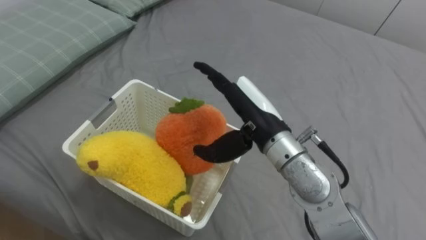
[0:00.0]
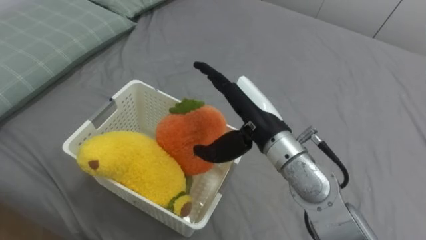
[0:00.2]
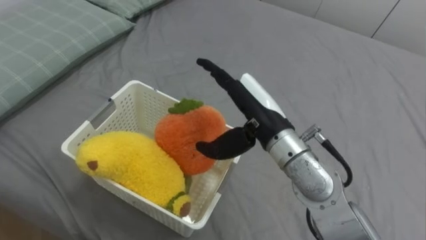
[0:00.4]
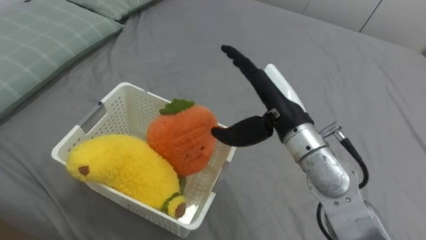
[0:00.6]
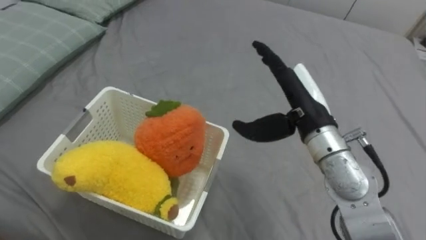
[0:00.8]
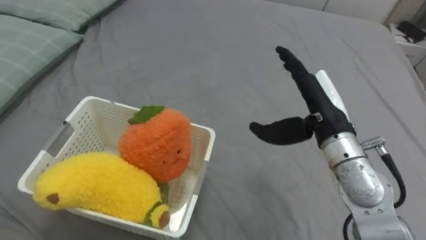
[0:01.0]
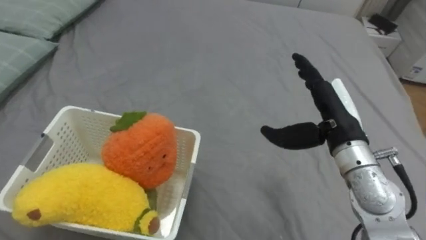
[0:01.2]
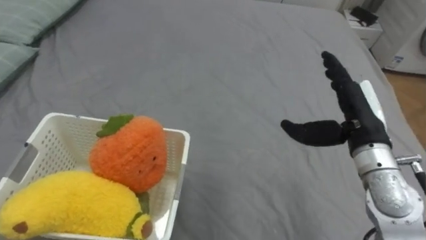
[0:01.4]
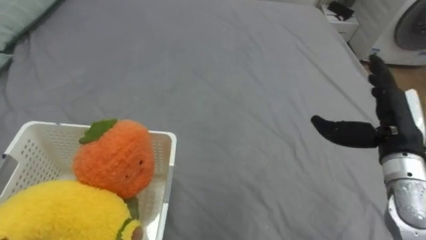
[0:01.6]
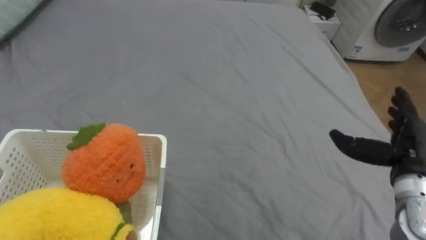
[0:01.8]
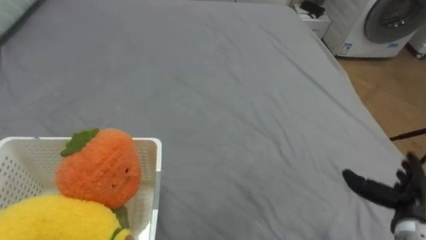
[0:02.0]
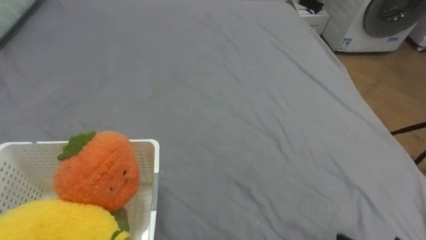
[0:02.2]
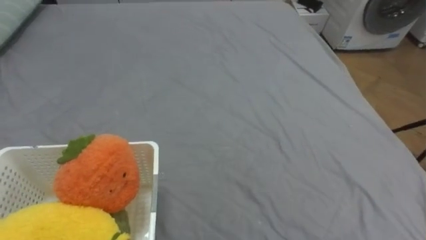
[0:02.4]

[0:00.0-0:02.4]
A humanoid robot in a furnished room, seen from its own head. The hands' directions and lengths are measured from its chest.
Task of the whole recording: Put the toys on the bed into the basket on the left.
0.0 to 1.2 s: The right hand shifts approximately 15 cm to the right.

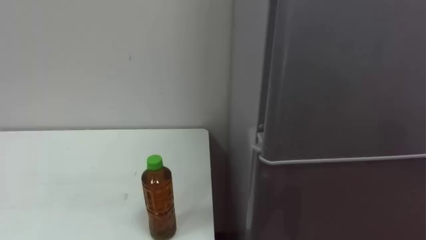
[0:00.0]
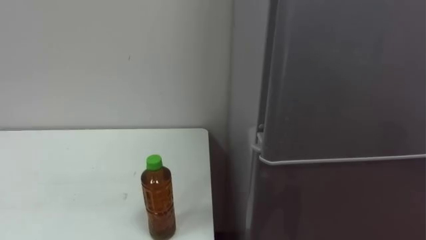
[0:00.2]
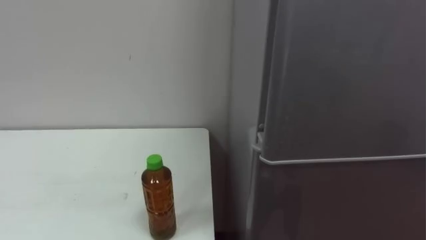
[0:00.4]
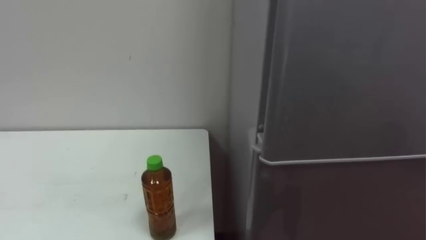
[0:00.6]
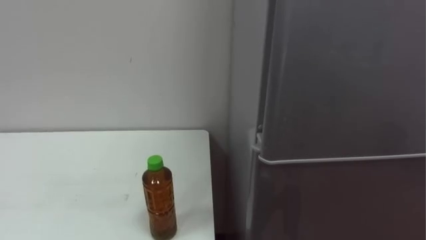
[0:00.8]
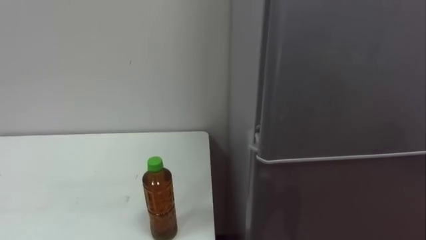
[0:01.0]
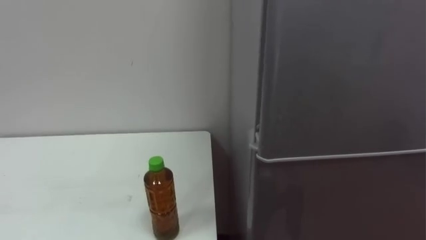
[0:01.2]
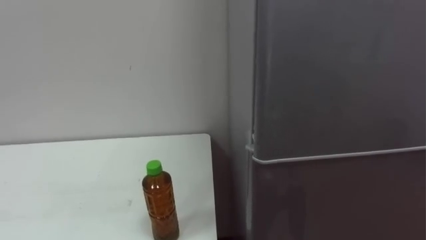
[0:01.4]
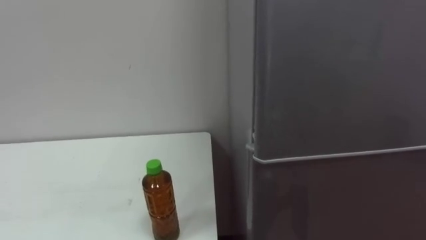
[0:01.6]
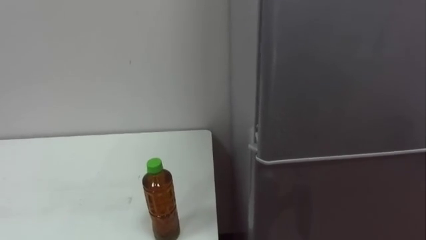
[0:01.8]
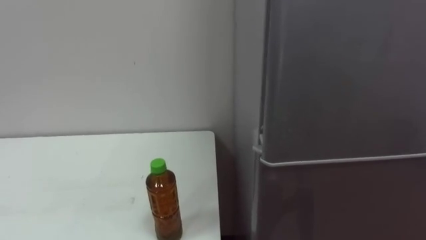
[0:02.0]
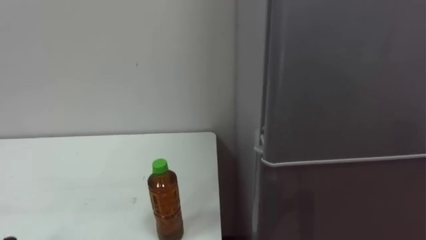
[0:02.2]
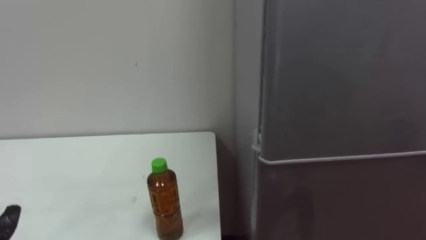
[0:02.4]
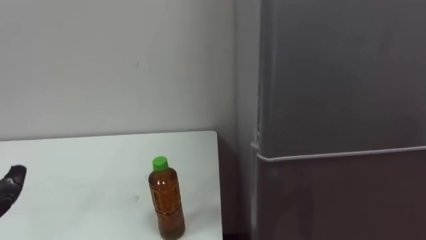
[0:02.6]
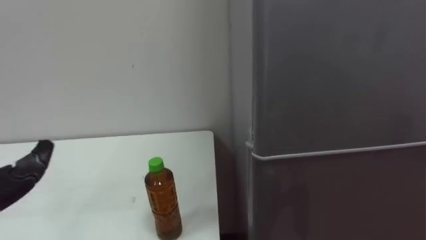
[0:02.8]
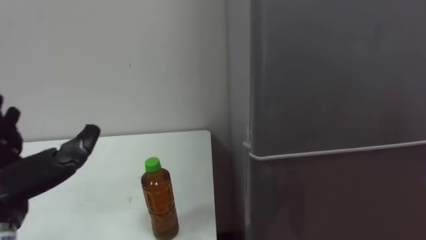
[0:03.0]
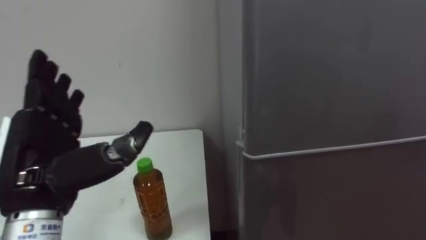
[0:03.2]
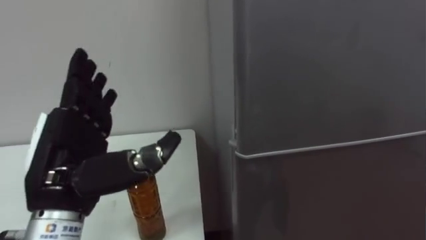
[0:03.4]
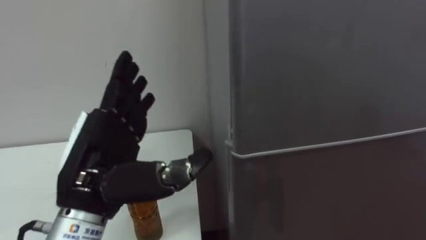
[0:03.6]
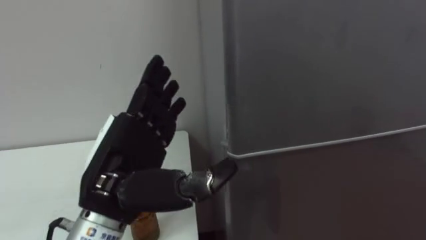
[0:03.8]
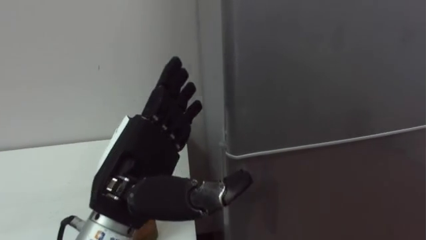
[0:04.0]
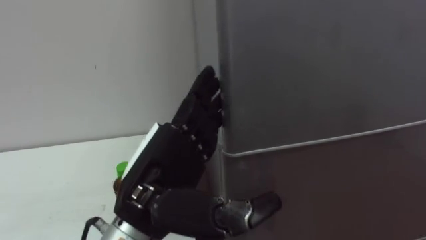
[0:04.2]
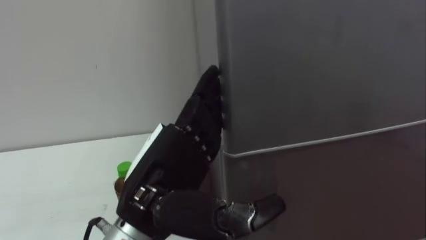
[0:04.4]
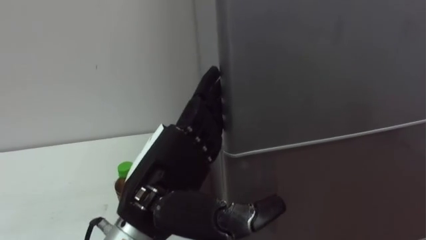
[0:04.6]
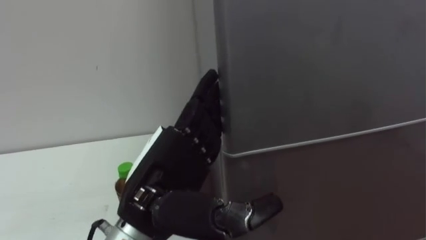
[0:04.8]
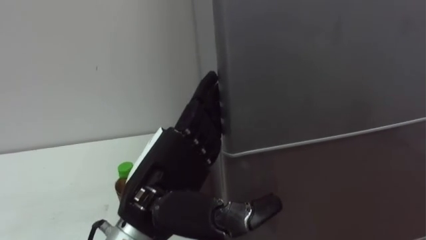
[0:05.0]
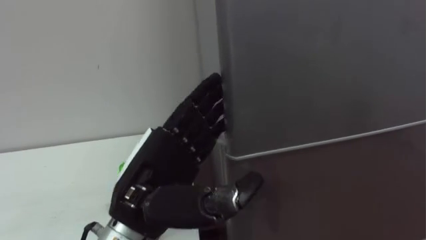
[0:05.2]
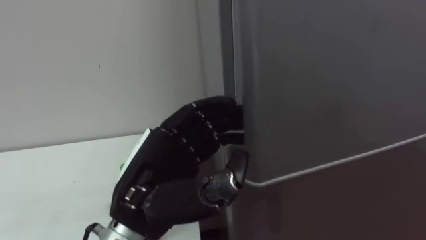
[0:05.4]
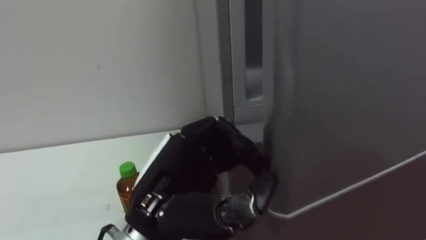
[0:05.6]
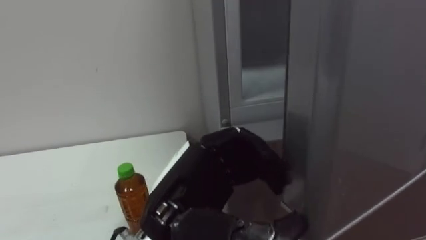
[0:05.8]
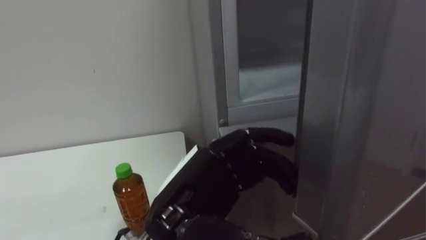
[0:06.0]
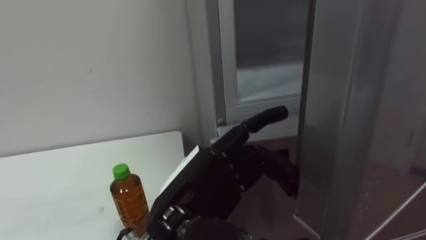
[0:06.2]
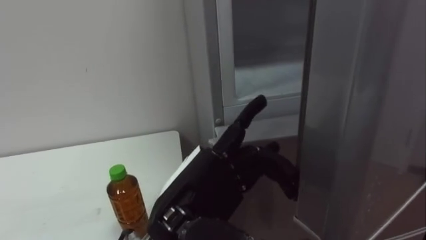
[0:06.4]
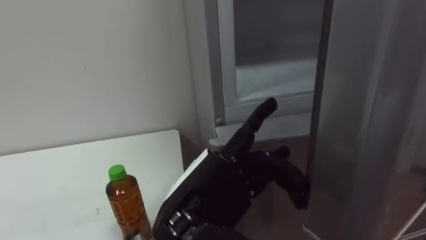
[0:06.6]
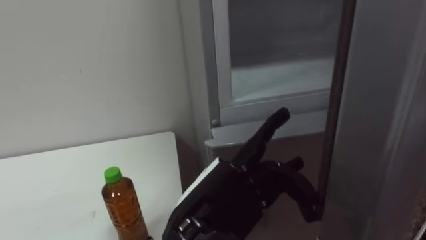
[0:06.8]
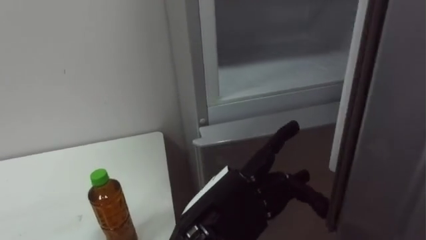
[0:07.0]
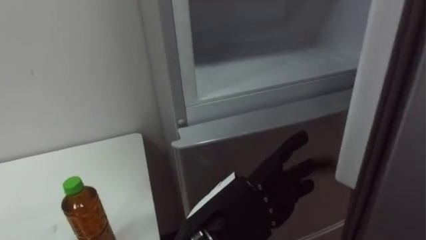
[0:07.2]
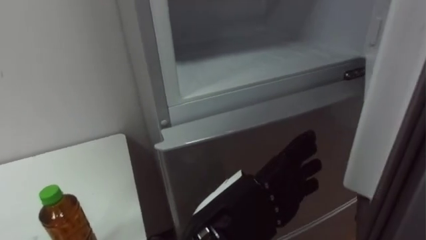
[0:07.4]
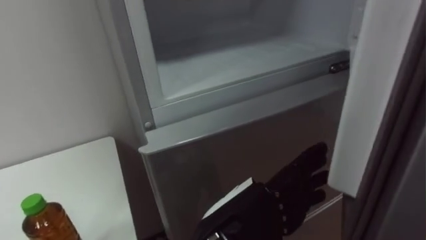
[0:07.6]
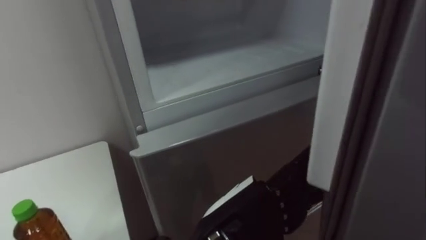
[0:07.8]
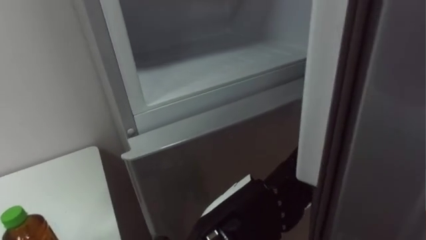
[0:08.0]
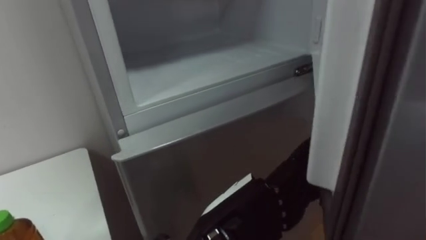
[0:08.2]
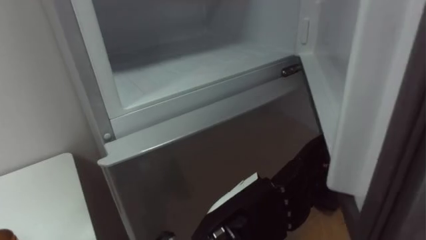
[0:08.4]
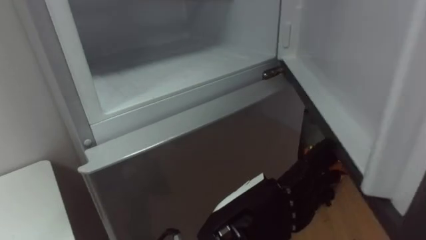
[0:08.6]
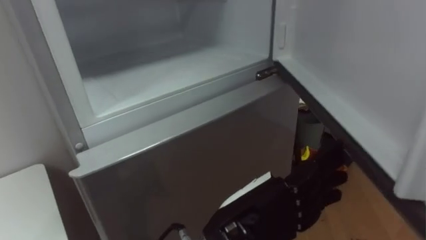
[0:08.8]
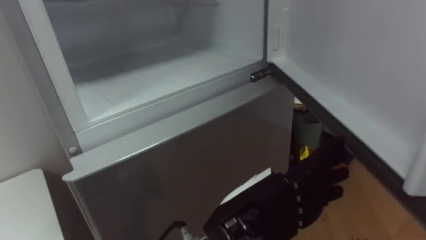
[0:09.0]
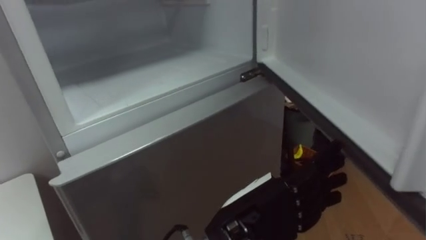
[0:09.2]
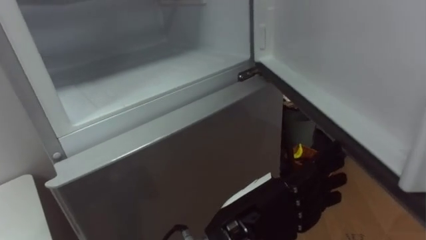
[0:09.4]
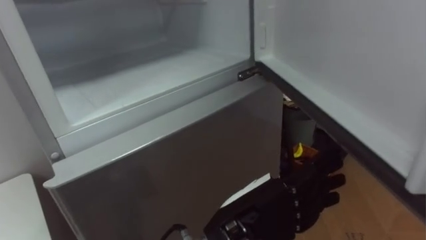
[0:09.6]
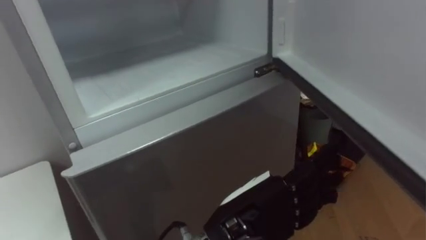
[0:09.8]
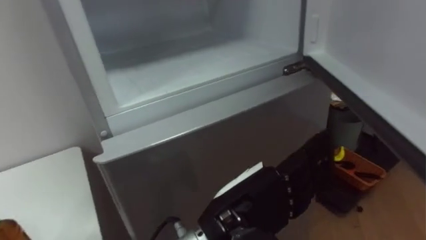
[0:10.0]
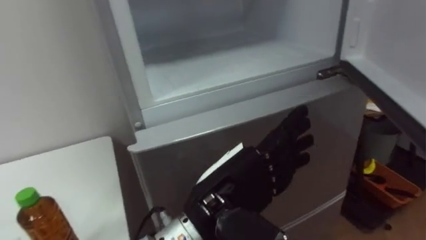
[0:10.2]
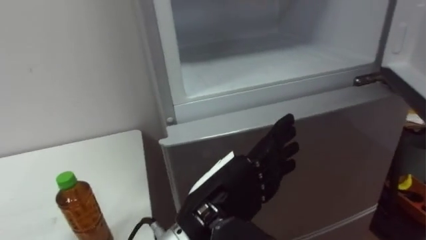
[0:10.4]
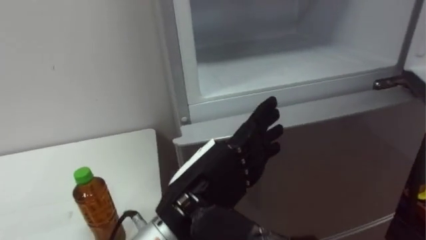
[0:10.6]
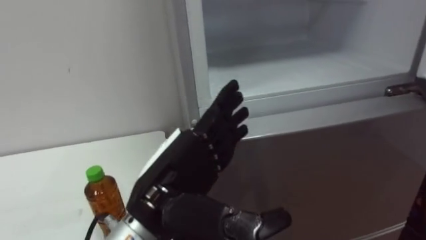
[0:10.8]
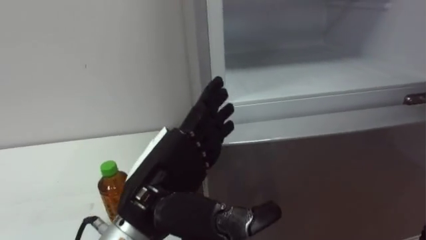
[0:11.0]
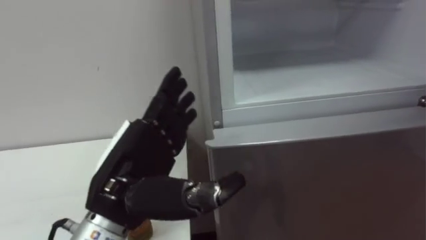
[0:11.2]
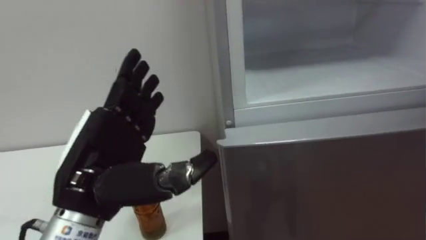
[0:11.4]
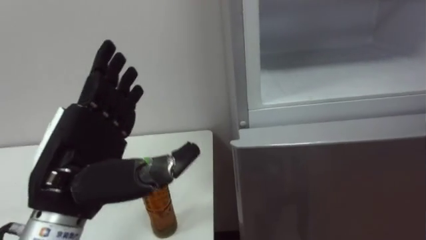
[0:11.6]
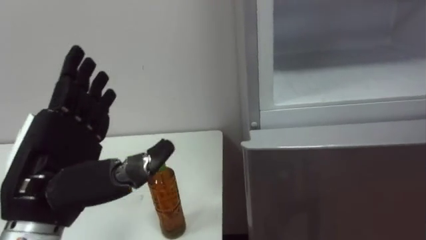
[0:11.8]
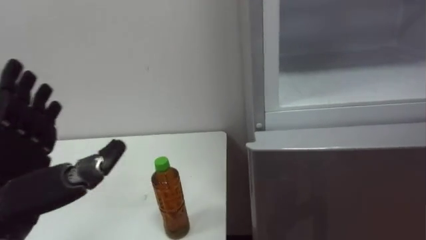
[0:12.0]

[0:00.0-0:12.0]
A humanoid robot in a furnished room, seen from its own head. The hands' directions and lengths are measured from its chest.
Task of the whole recording: Open the upper refrigerator door, put the drink from the table into the refrigerator, and then close the refrigerator door.
4.4 to 6.0 s: The left hand closes its fingers.
6.0 to 7.6 s: The left hand heads to the right, covering some 5 cm, and opens its fingers.
10.4 to 12.0 s: The left hand shifts roughly 25 cm to the left.

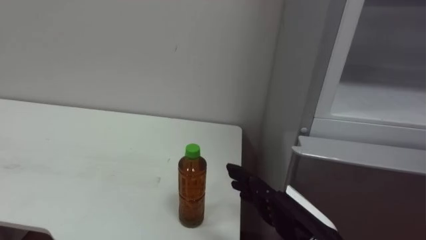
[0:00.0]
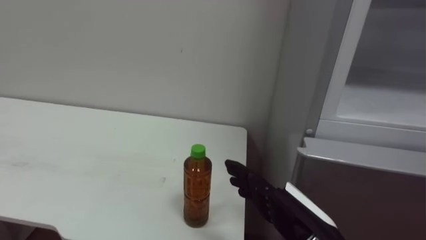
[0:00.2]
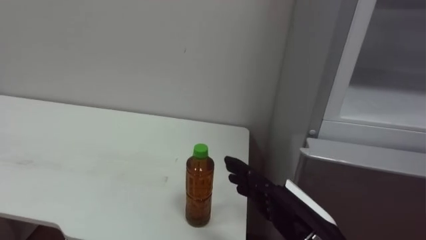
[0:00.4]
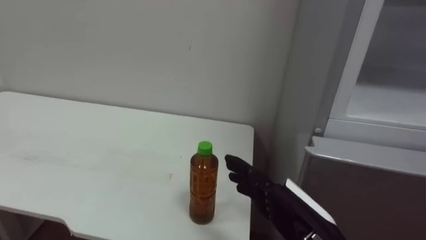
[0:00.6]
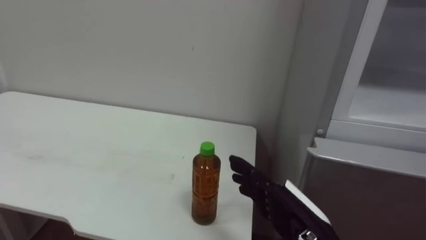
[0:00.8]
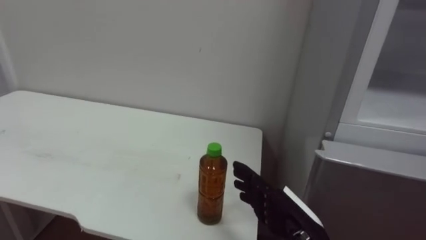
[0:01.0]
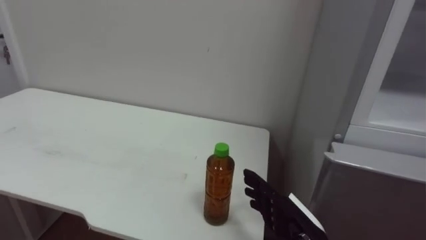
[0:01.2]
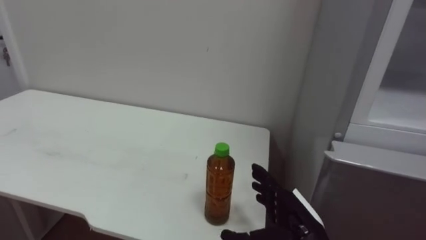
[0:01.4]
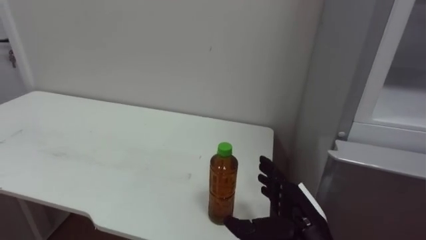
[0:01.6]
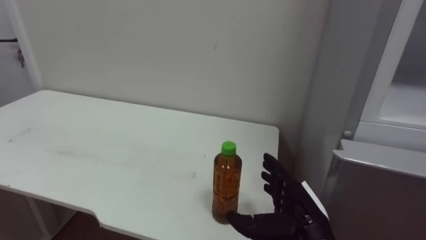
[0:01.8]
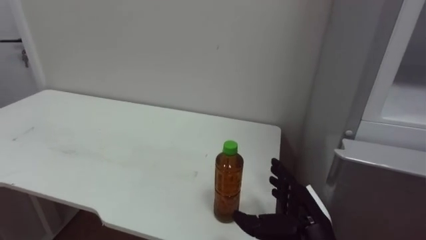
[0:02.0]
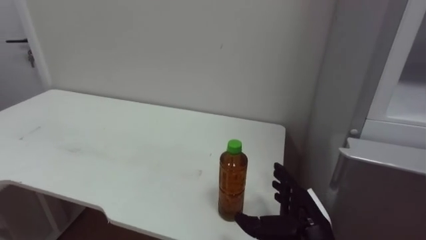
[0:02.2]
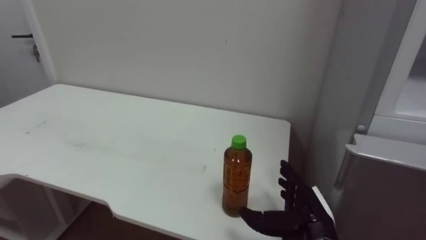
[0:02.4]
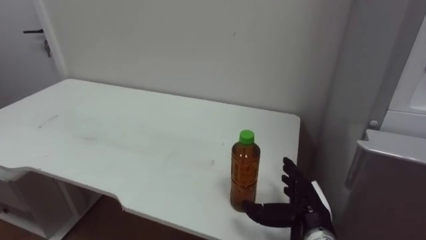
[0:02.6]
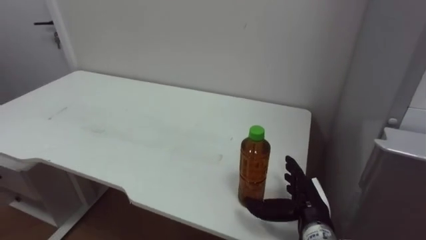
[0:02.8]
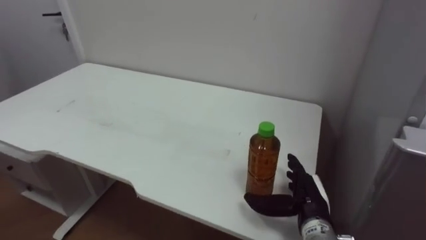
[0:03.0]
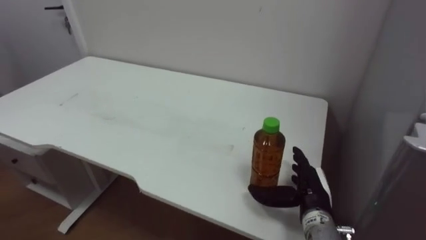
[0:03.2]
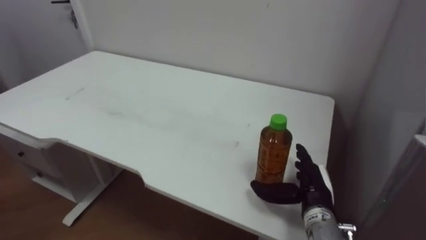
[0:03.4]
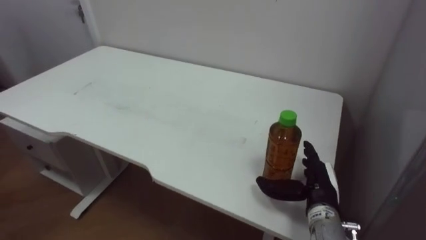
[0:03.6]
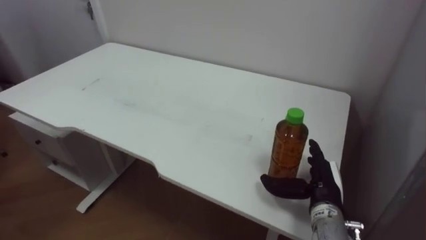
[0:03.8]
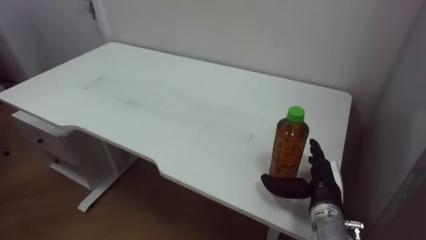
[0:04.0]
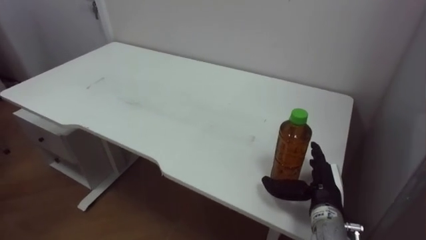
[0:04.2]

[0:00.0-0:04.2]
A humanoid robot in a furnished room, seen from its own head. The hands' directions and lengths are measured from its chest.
Task of the whole recording: Open the upper refrigerator door, put the drink from the table into the refrigerator, and then close the refrigerator door.
0.0 to 1.4 s: The right hand travels downward by roughly 5 cm.
1.4 to 2.8 s: The right hand goes some 5 cm forward.
